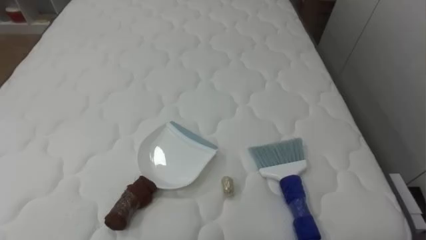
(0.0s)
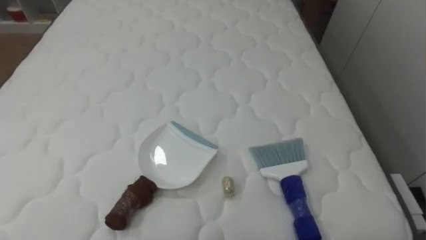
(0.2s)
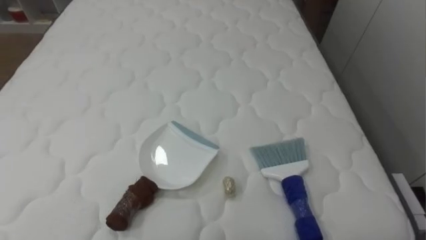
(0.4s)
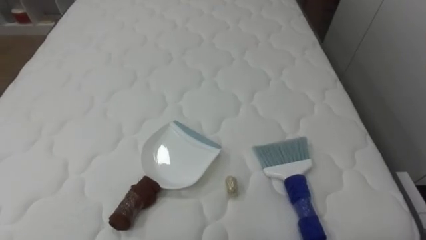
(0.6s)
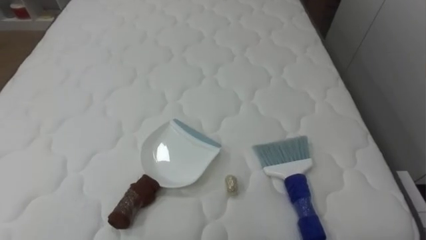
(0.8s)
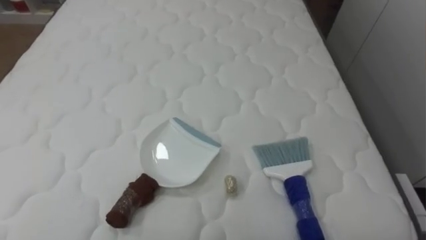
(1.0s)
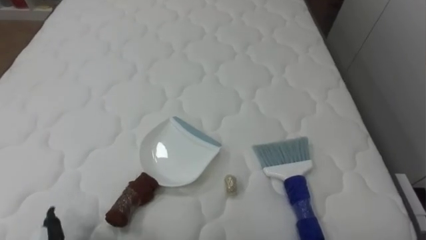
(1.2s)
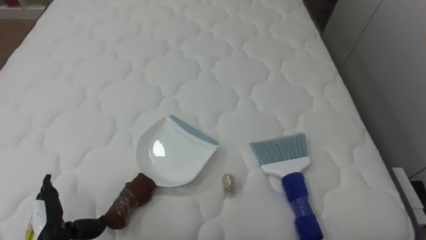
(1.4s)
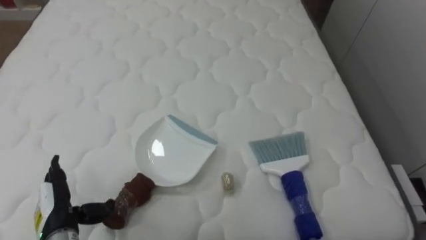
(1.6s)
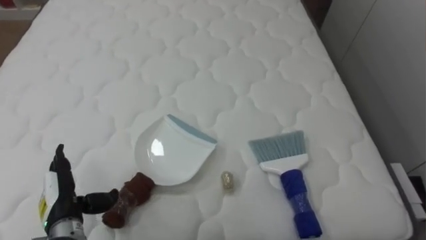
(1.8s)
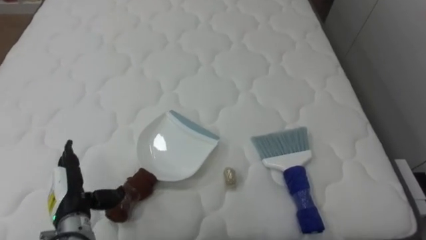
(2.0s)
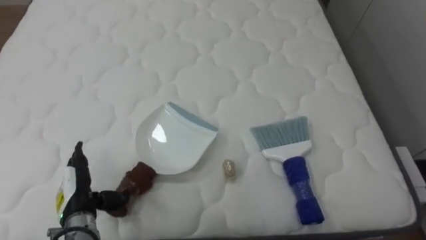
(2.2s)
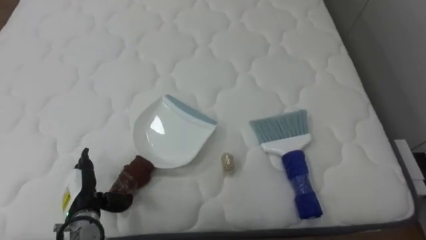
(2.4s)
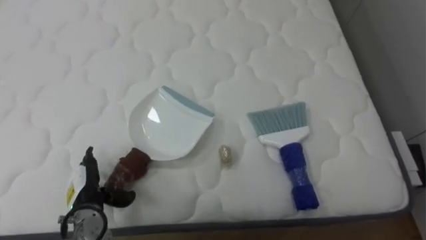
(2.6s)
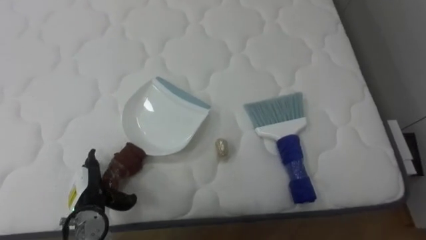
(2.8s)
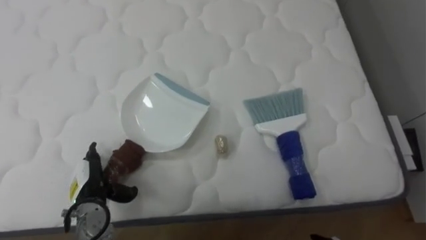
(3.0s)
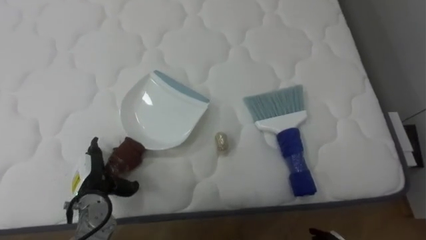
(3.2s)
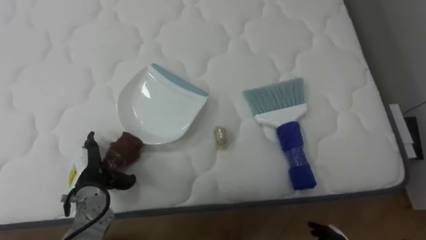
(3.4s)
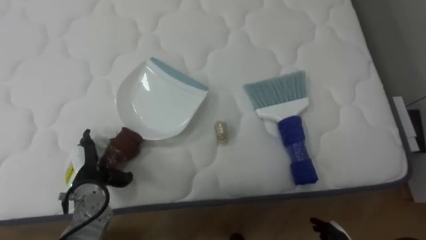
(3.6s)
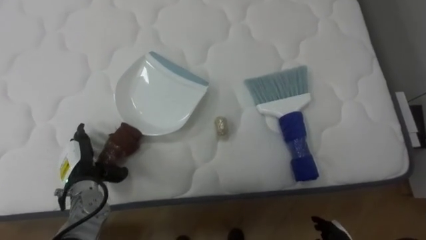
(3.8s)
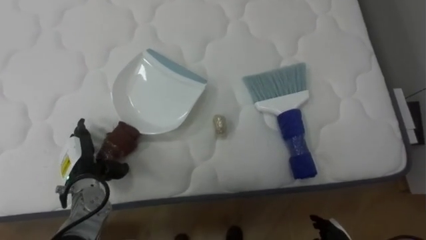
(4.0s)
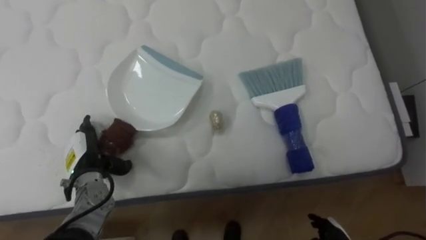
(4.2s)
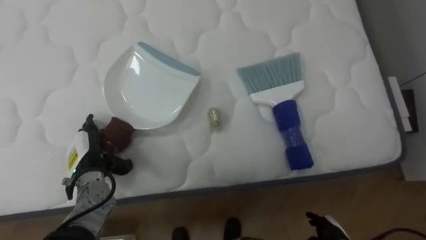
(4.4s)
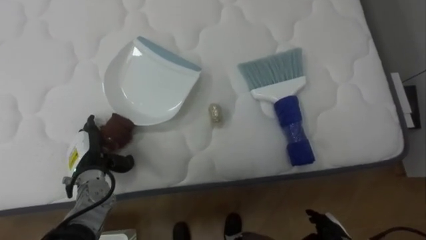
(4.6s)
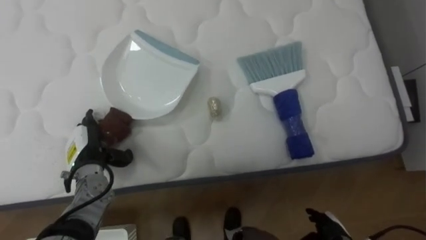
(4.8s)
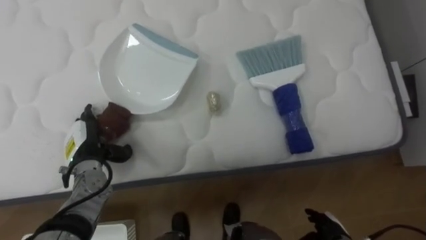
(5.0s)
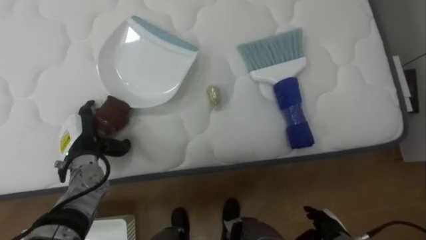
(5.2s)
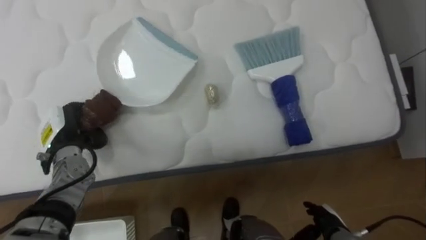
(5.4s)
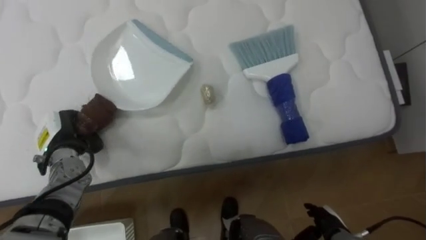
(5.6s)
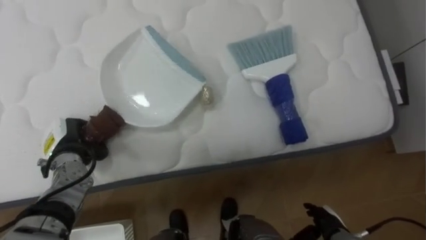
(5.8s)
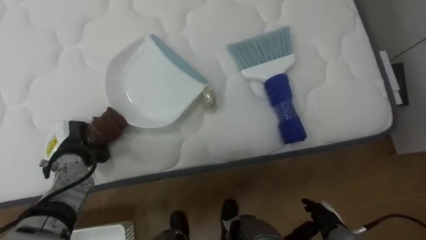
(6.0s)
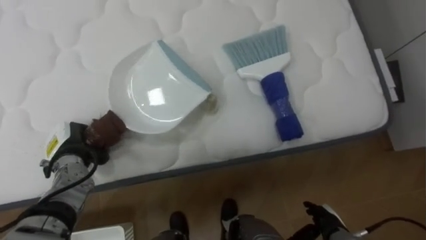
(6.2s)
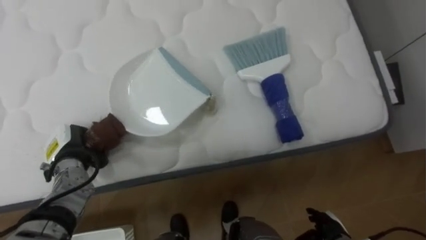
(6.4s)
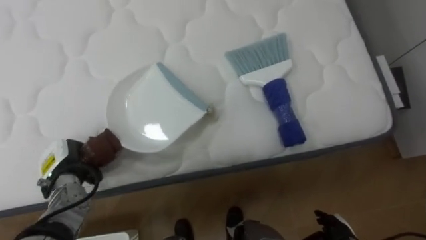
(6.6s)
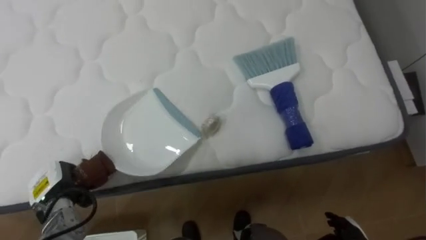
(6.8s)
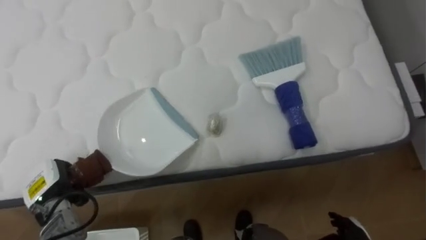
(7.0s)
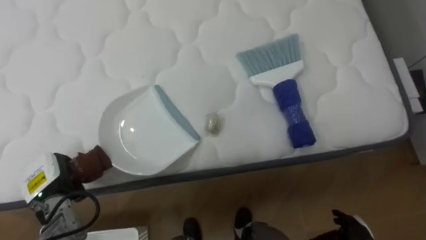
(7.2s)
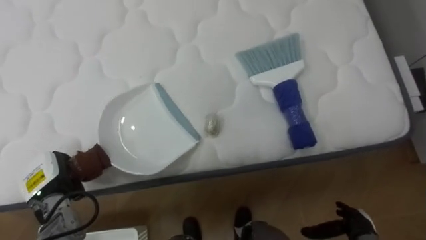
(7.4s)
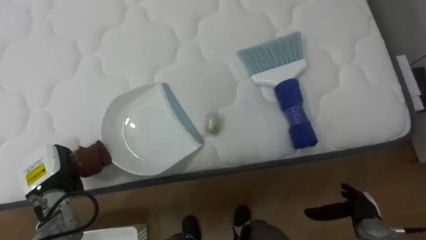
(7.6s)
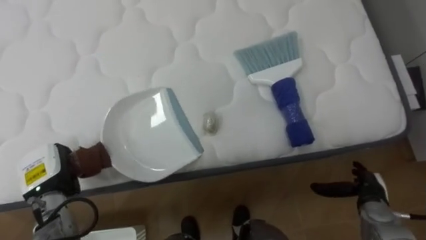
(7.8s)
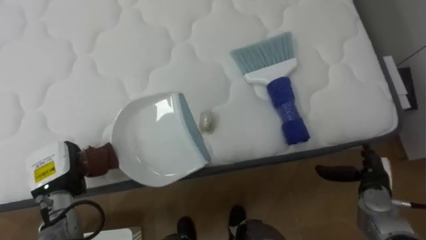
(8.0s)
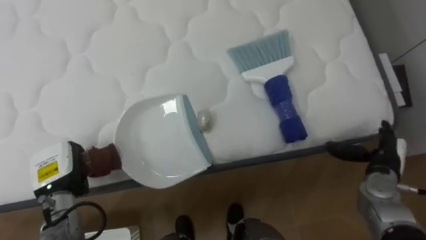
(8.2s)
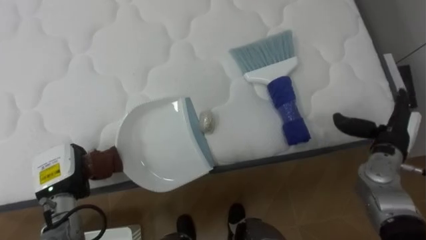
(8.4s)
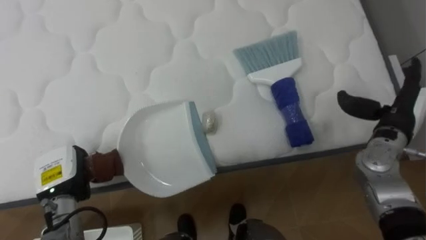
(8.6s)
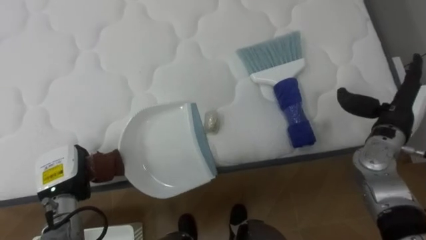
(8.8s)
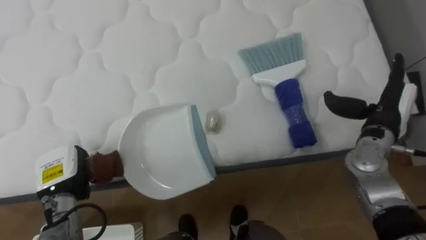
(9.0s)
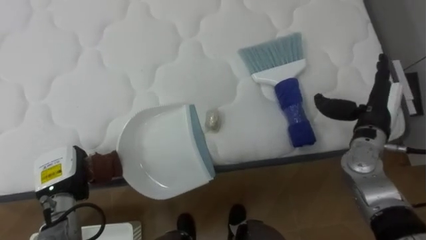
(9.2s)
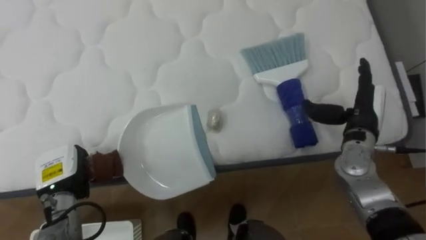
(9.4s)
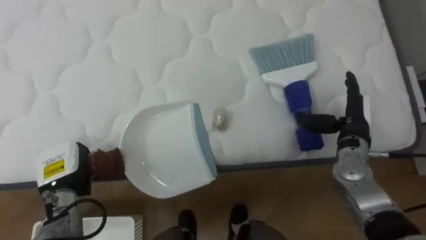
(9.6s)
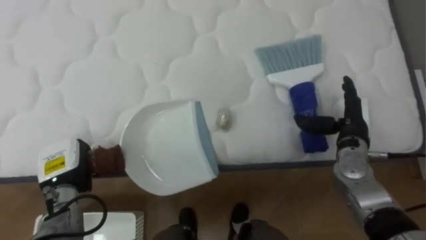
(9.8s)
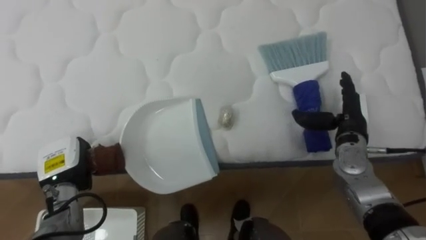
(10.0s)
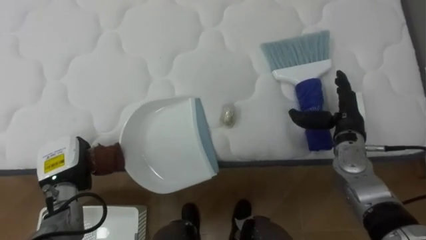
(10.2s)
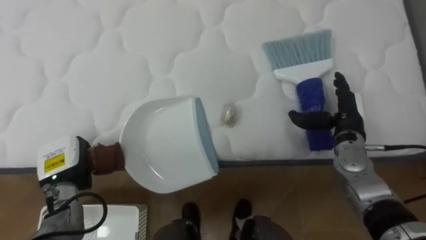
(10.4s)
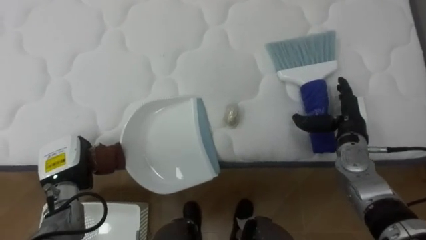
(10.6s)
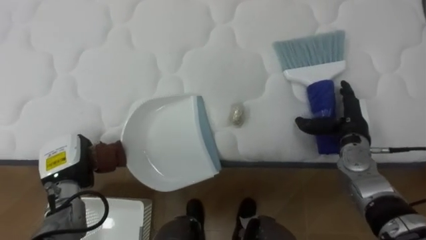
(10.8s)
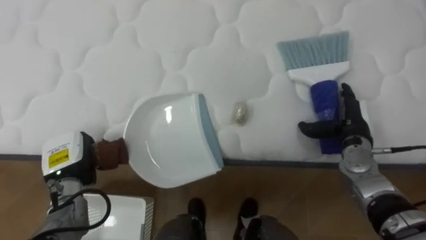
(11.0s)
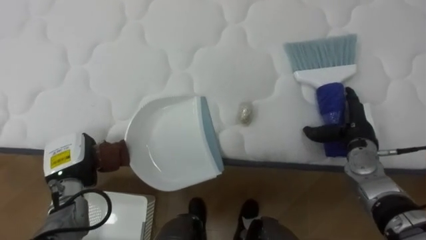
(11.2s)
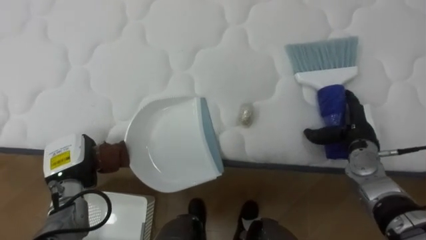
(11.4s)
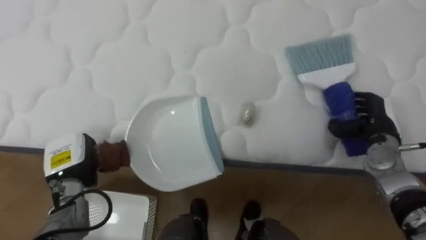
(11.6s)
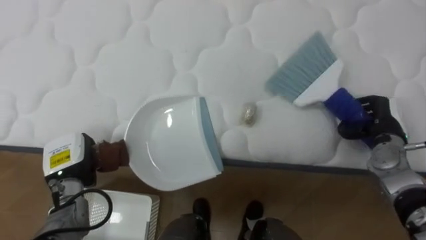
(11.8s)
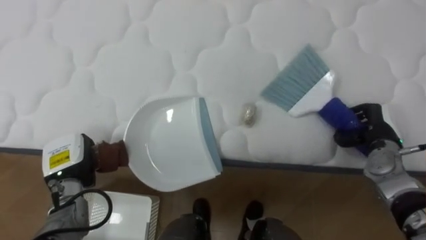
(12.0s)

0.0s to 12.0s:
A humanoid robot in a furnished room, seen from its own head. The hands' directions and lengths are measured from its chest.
Task of the whole recording: Pick up the brush on your right and the dustpan on your left. Use the brush to sweep the crumpled paper on the bed into the dustpan, then turn left and empty it into the basket.
1.6s to 3.0s: The left hand heads forward, covering approximately 5 cm.
3.0s to 4.4s: The left hand is displaced forward by about 5 cm.
4.4s to 6.0s: The left hand closes up.
6.0s to 7.6s: The left hand shifts roughly 5 cm backward.
7.6s to 9.0s: The right hand moves upward and forward, about 25 cm.
9.0s to 10.4s: The right hand ends up about 5 cm from where it was.
10.4s to 12.0s: The right hand goes some 5 cm to the right, and closes its fingers.

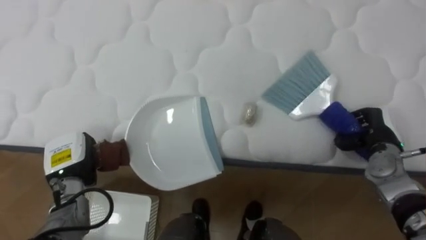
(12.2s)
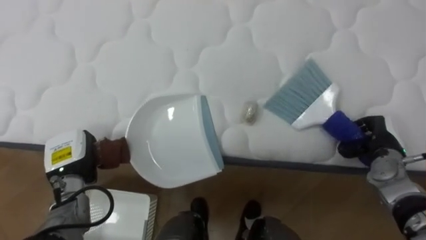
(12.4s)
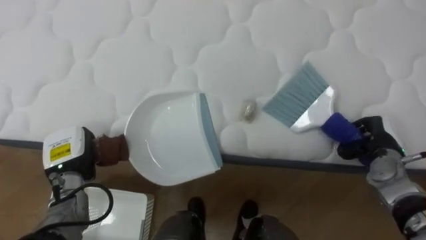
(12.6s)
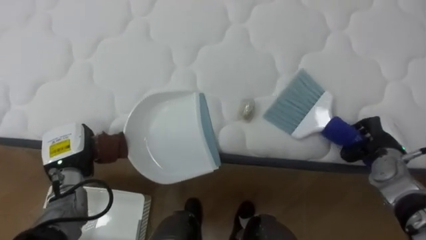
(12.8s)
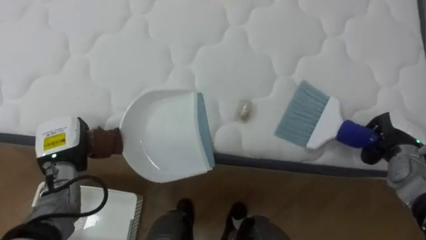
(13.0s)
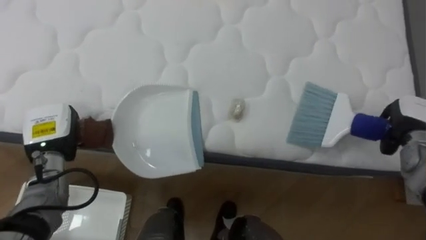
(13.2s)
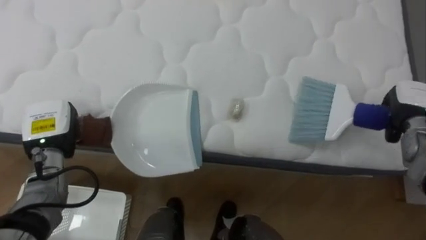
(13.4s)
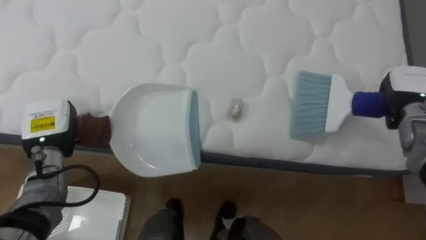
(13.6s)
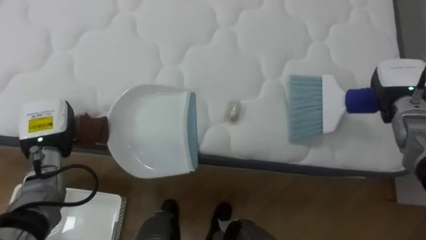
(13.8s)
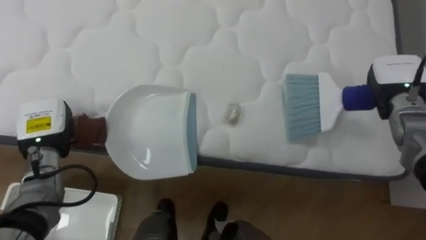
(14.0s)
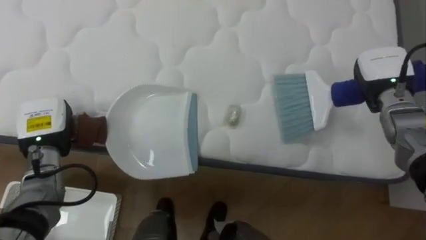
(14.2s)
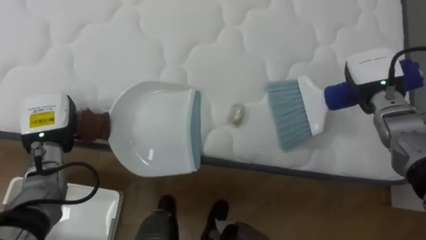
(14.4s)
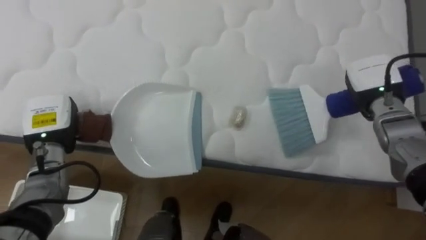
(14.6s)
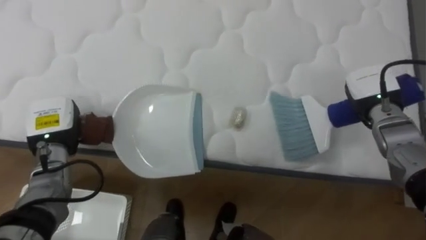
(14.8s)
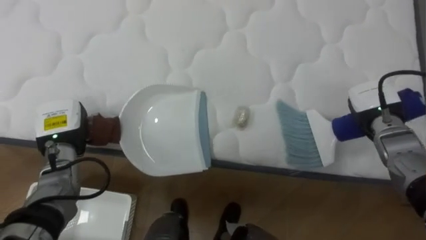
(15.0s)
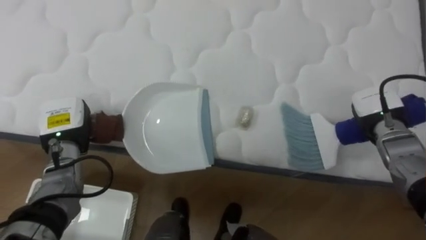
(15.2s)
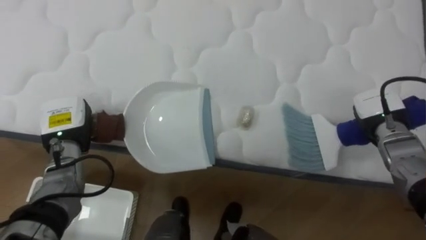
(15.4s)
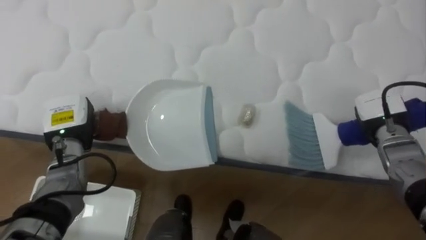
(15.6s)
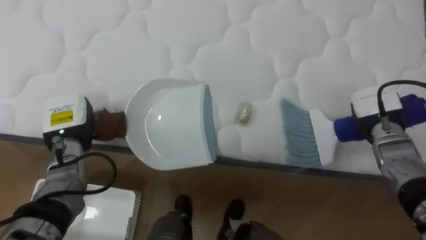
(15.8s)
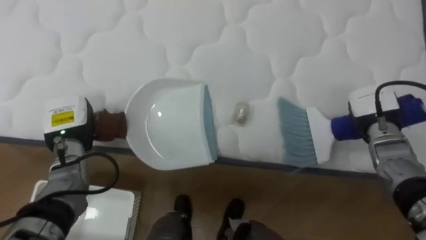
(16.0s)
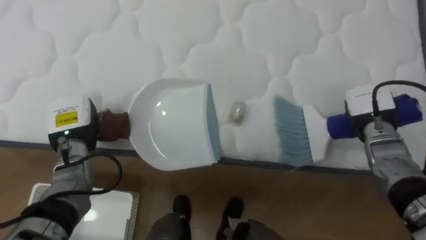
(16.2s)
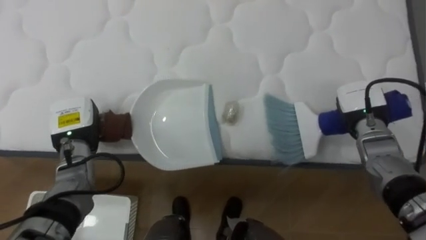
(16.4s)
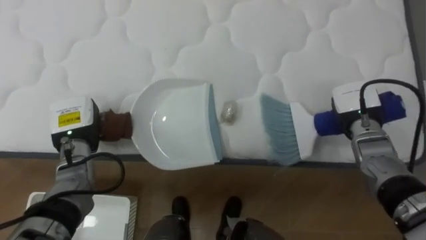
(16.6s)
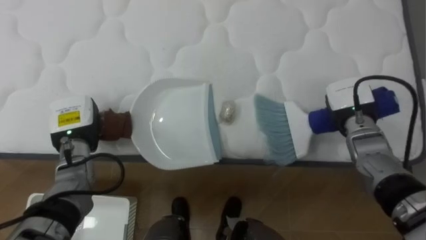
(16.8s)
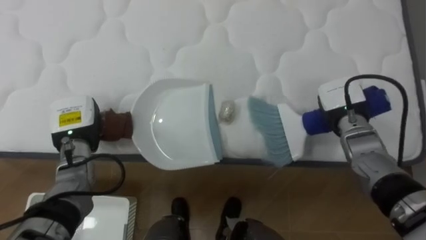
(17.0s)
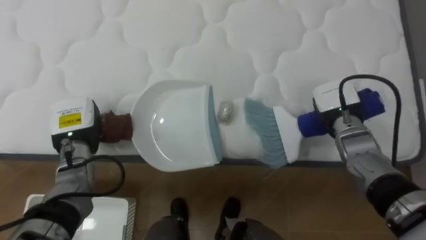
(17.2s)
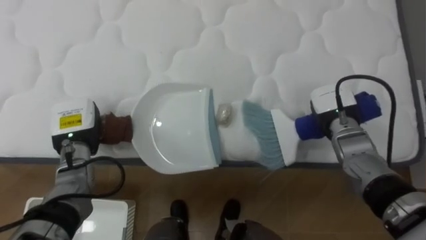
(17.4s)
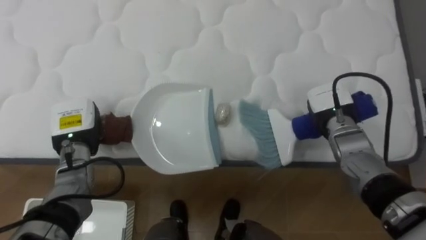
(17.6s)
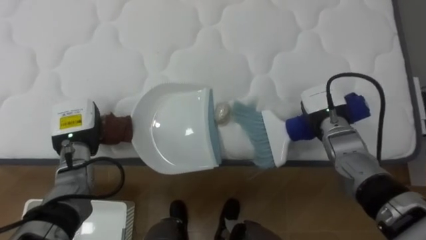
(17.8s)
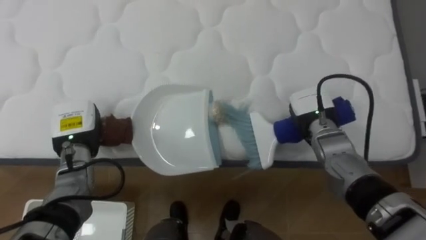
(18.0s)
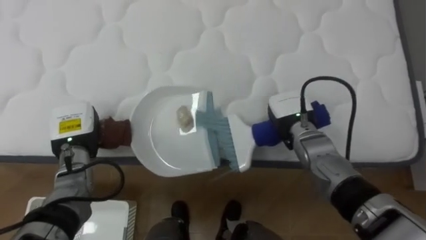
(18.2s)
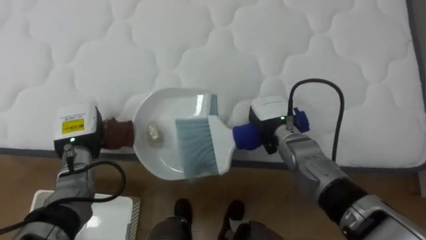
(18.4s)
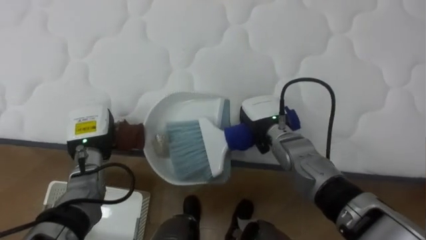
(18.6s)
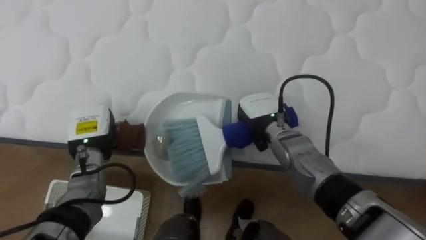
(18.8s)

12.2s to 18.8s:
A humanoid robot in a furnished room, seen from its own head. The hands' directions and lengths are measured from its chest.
Task of the whole recording: Pick up the brush on your right and the dustpan on your left. Use the brush to sweep the crumpled paper on the bed into the dustpan, then turn left and empty it into the basket.
12.2s to 13.8s: The right hand goes approximately 10 cm upward and forward; the left hand is displaced upward by roughly 5 cm.
13.8s to 15.4s: The right hand goes roughly 5 cm downward.
15.4s to 17.2s: The right hand travels to the left by some 10 cm.
17.2s to 18.8s: The right hand goes some 15 cm to the left.
